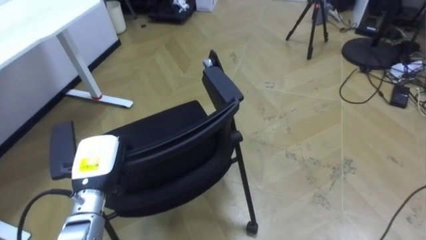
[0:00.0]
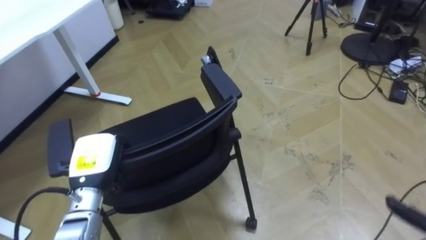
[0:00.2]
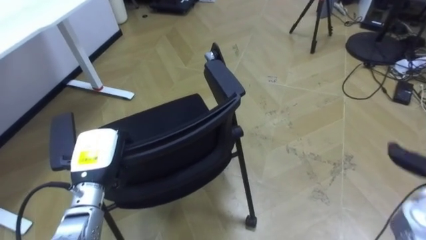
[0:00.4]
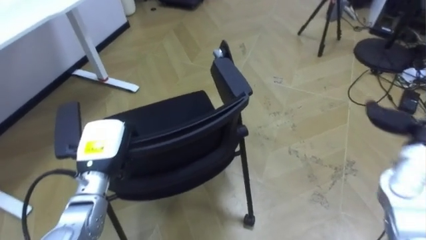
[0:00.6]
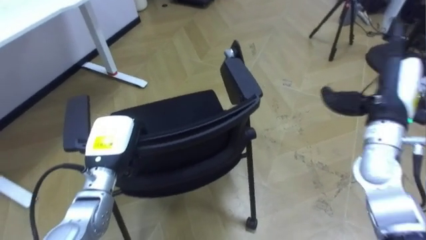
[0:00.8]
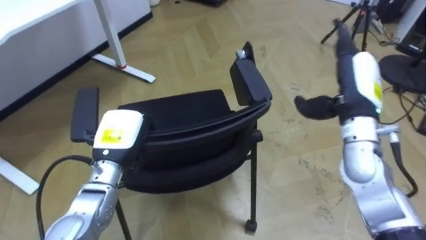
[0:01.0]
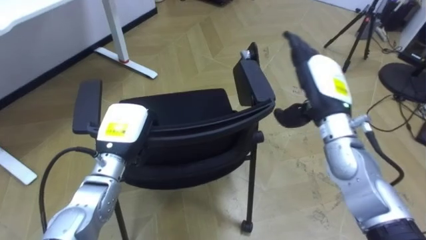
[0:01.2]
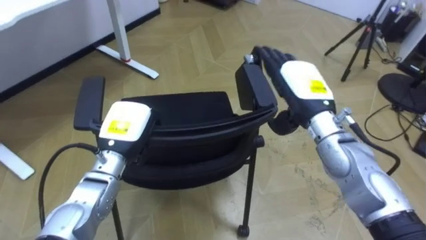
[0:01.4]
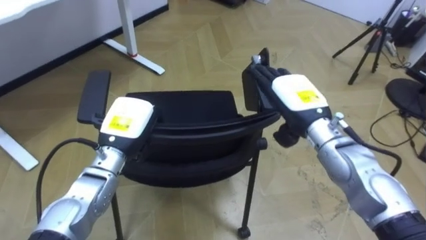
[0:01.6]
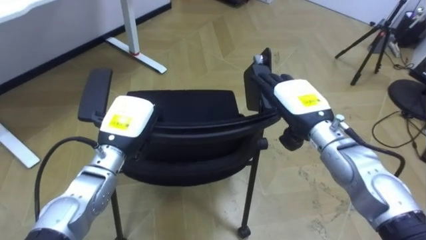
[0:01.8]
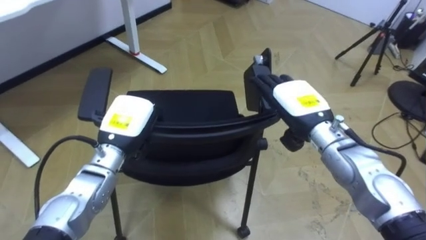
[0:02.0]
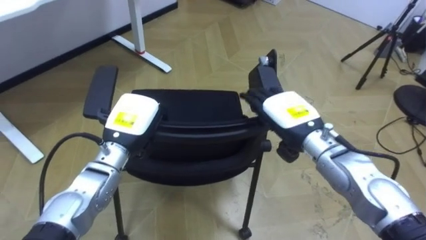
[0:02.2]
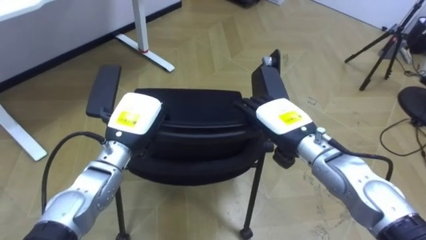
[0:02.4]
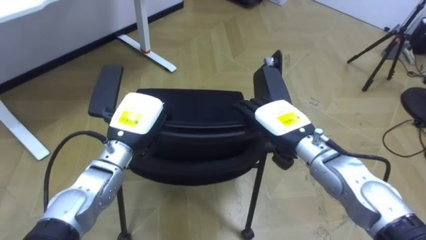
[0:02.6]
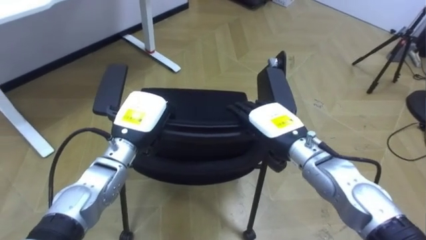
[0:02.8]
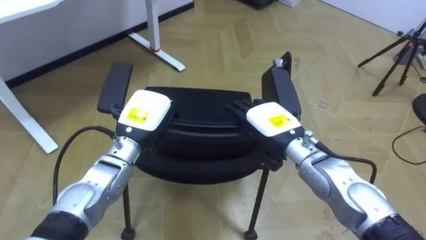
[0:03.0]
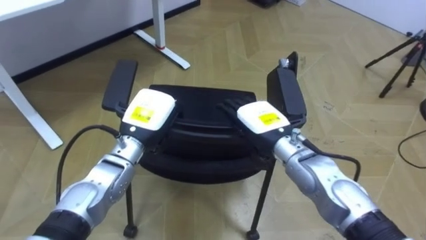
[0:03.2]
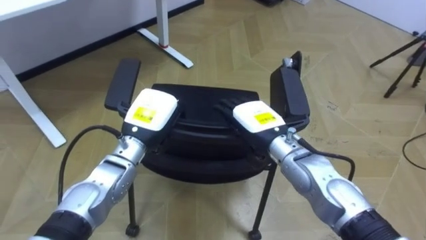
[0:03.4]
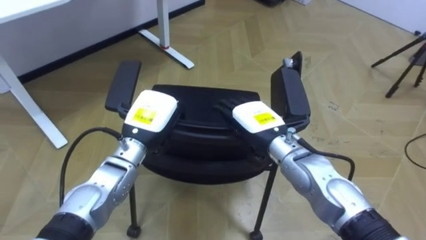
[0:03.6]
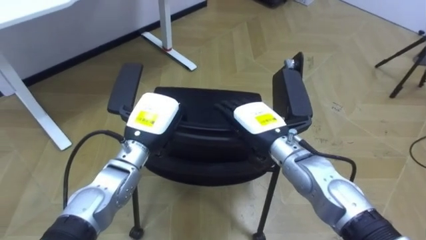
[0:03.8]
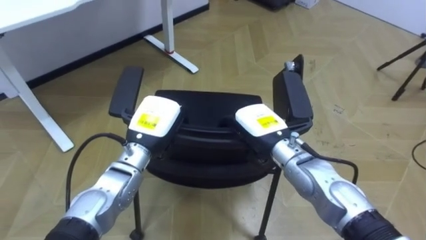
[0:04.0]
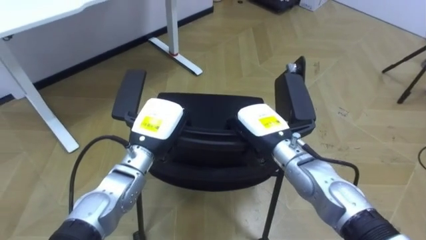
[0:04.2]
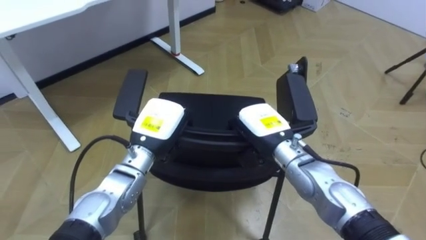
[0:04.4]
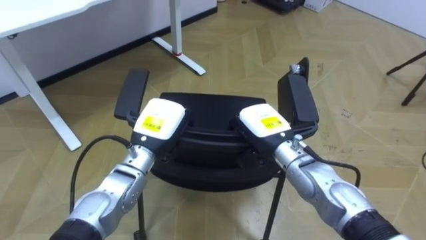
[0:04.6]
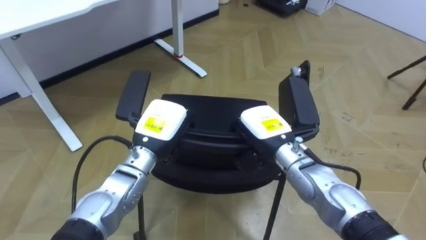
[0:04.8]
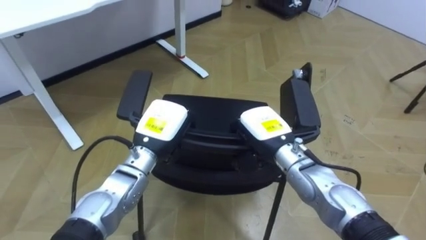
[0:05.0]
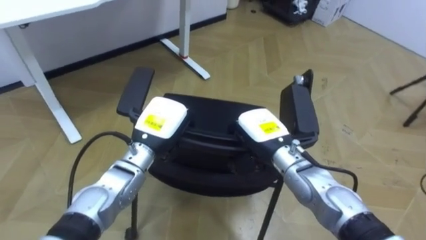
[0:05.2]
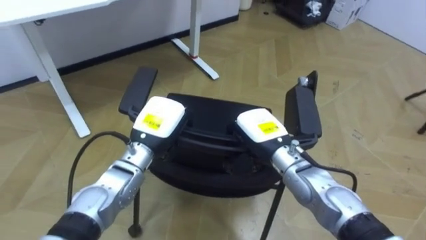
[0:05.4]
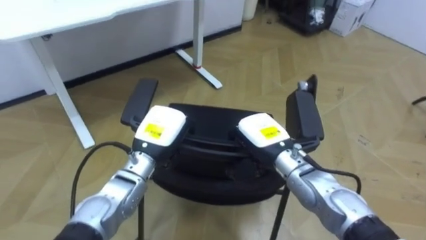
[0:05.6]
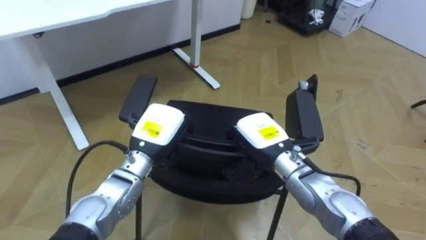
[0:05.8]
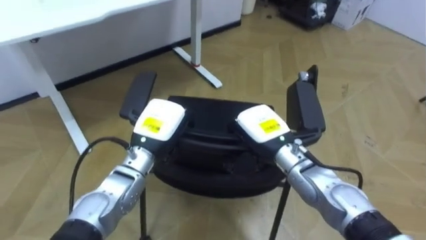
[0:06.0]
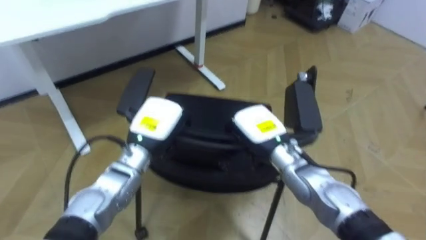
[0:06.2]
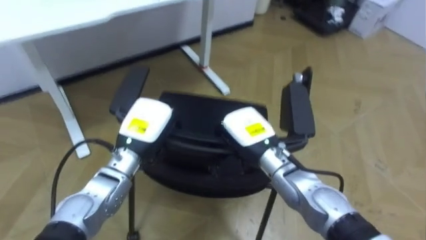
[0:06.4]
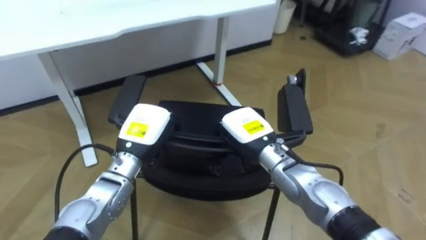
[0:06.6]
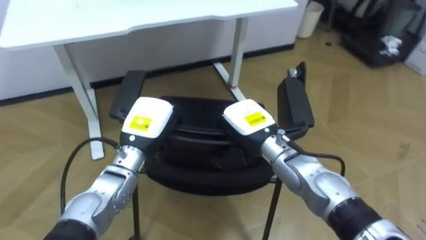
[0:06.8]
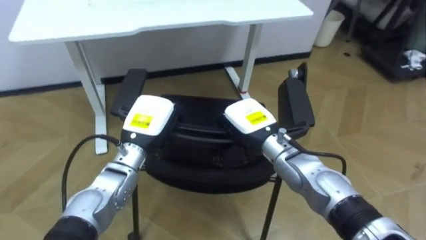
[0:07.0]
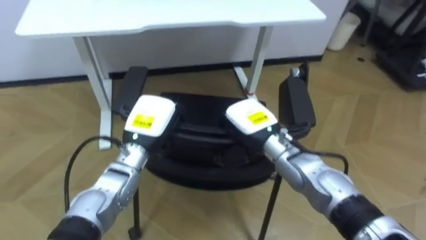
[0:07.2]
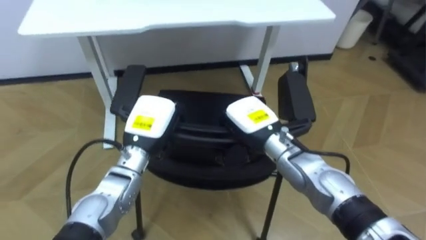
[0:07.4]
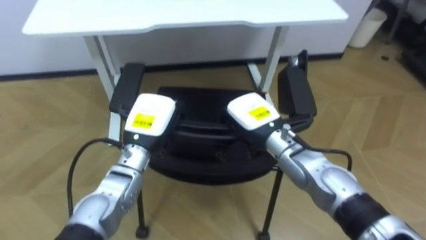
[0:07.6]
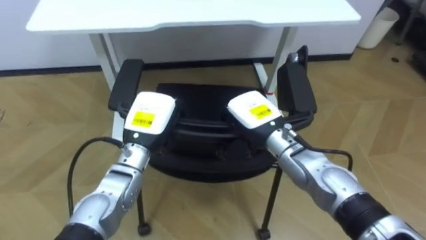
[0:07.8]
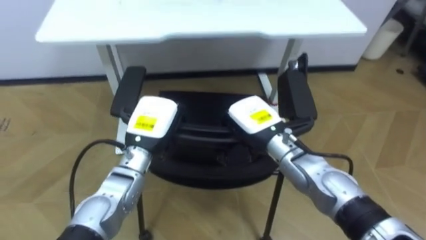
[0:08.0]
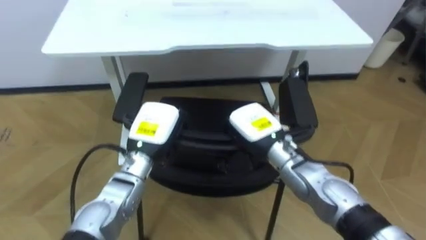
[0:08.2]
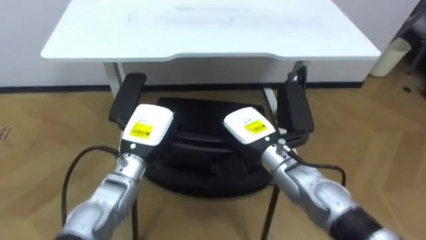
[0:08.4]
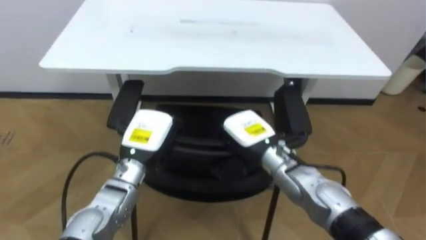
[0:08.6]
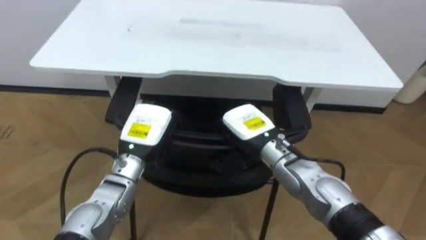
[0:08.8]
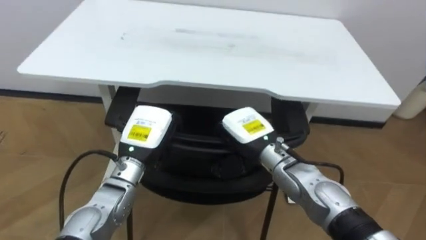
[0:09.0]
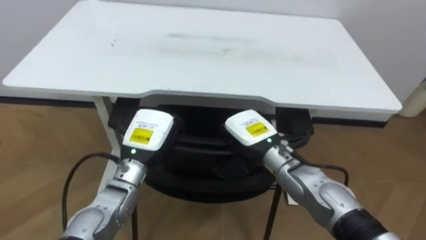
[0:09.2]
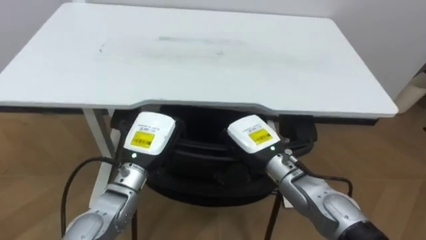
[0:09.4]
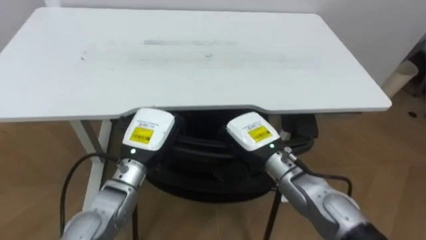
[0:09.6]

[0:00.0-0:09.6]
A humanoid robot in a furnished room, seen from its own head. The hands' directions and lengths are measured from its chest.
Task of the whole recording: Push the chair under the table.
0:00.0 to 0:01.6: The left hand is displaced to the right, forward and upward by about 10 cm.
0:01.6 to 0:03.2: The right hand moves to the left and downward, some 10 cm.
0:03.2 to 0:04.8: The right hand closes its fingers.
0:06.4 to 0:08.0: The robot's body swings about 25 degrees to its left.

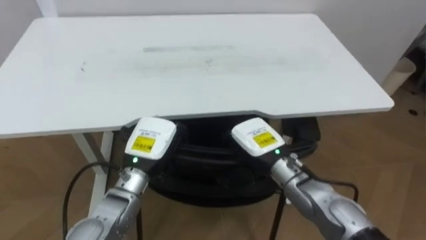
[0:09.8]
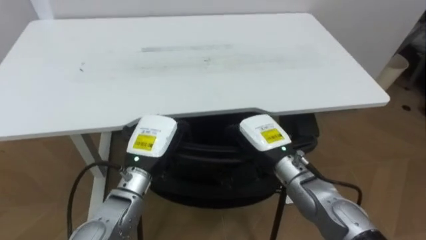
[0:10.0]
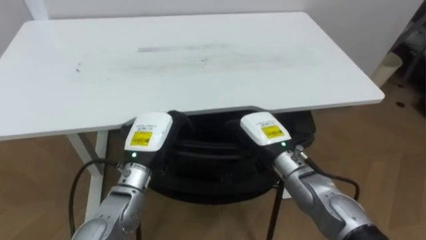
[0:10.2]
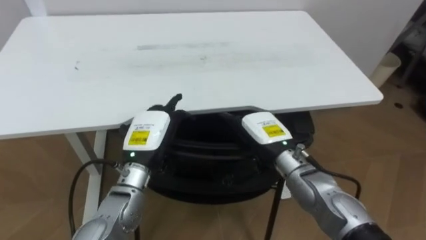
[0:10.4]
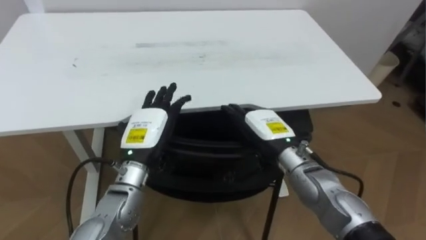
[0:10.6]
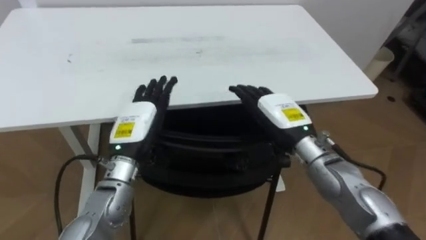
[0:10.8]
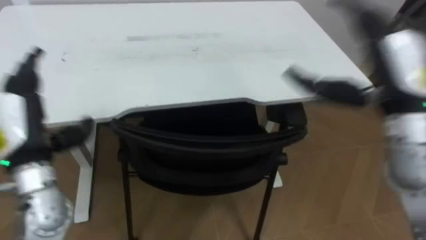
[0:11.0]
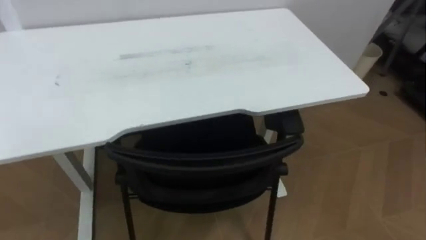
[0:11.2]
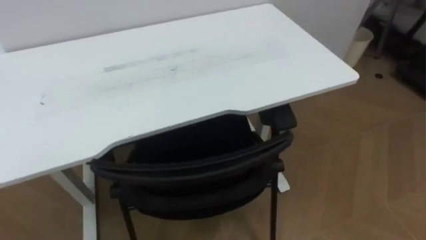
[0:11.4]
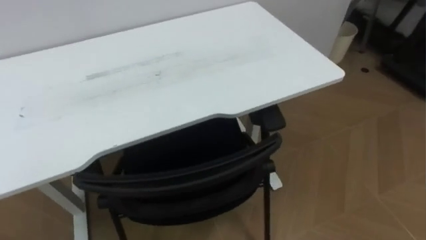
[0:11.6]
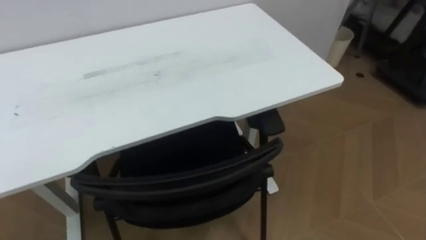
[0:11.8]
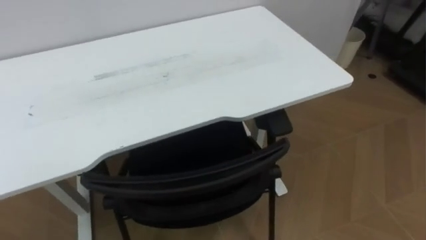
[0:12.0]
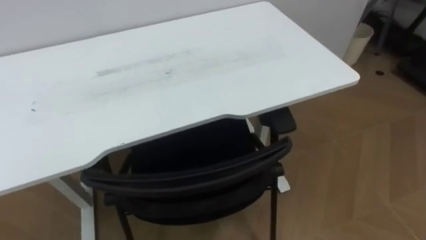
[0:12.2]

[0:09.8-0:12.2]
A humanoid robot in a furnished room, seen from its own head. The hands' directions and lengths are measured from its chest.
Task of the whole recording: Push the chair under the table.
0:09.8 to 0:11.0: The left hand heads to the left and upward, covering about 15 cm, and opens its fingers; the right hand moves upward and to the right, about 20 cm, and opens.

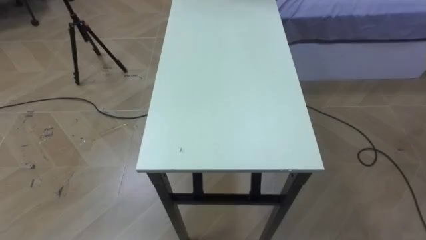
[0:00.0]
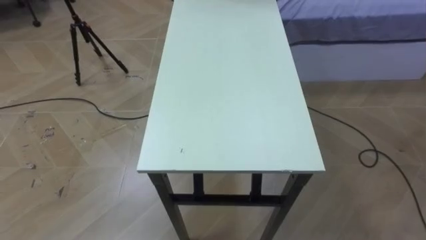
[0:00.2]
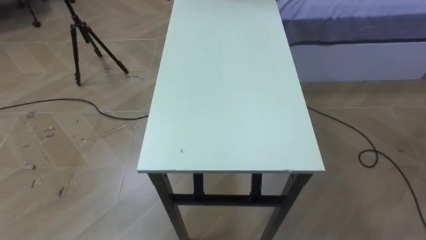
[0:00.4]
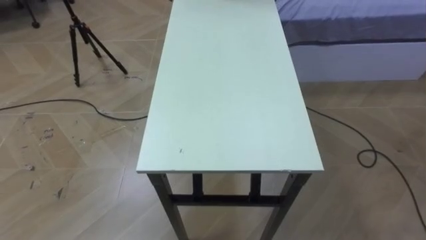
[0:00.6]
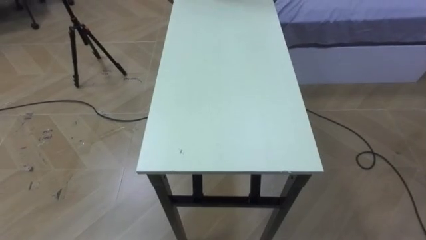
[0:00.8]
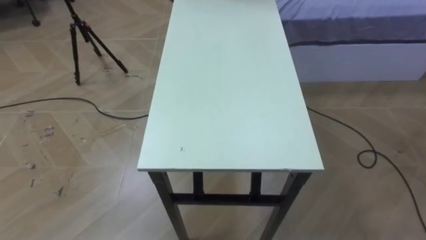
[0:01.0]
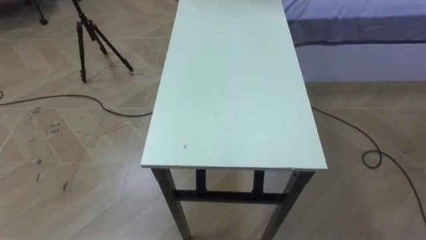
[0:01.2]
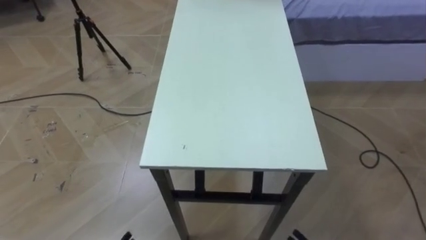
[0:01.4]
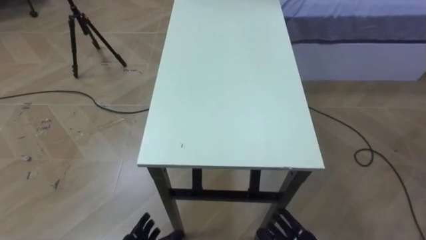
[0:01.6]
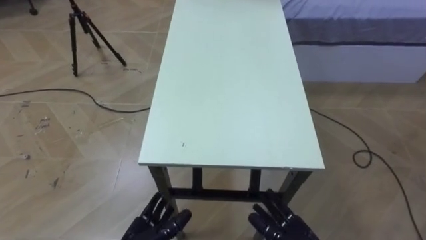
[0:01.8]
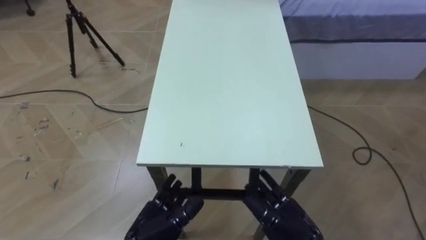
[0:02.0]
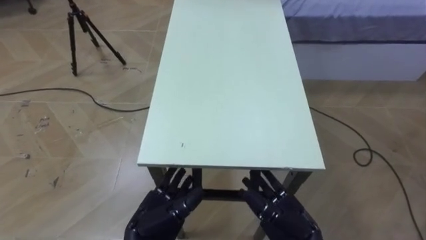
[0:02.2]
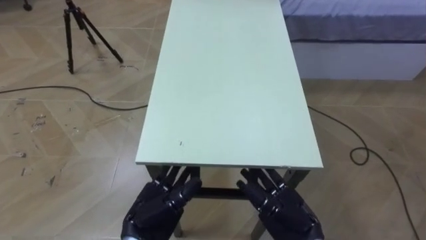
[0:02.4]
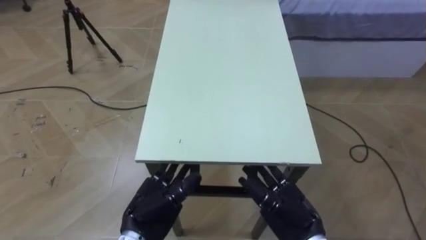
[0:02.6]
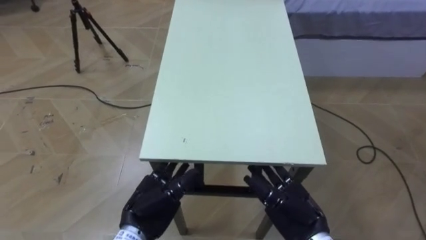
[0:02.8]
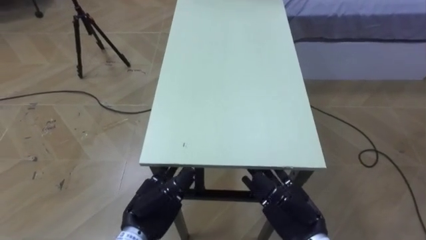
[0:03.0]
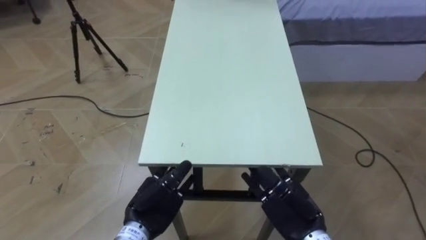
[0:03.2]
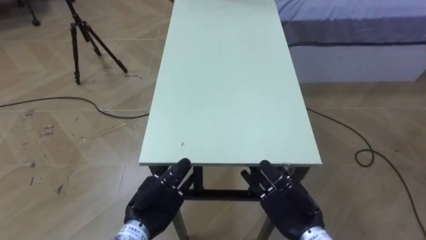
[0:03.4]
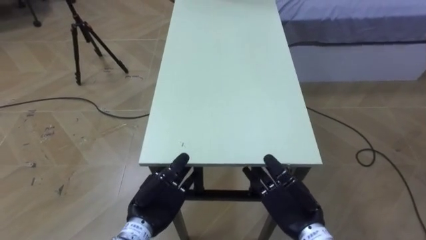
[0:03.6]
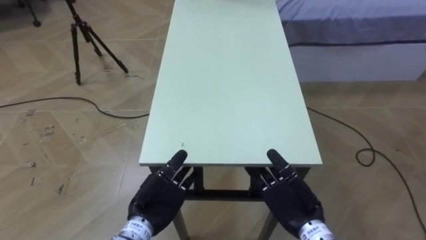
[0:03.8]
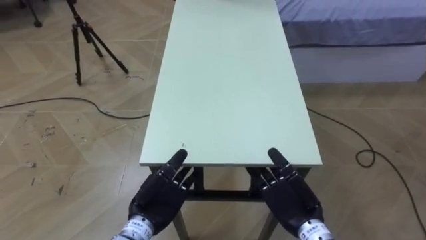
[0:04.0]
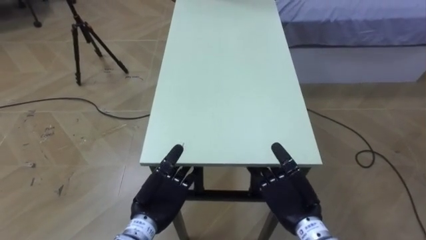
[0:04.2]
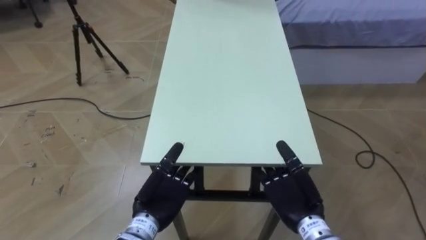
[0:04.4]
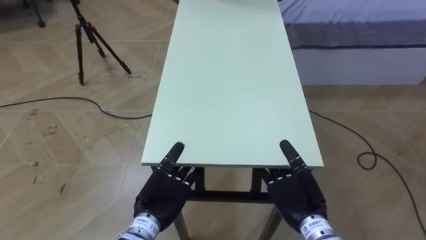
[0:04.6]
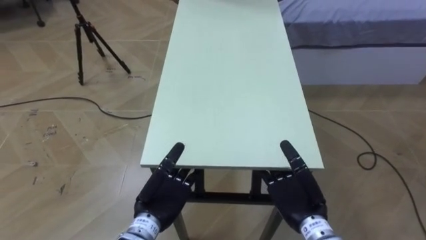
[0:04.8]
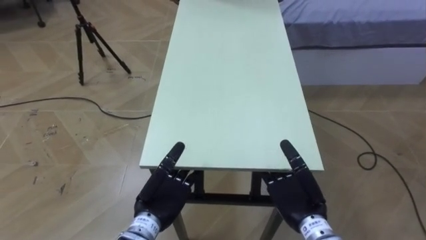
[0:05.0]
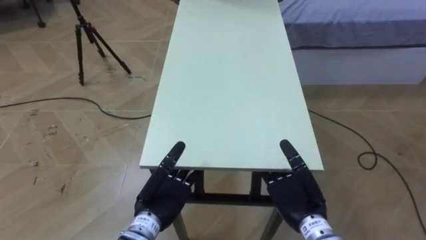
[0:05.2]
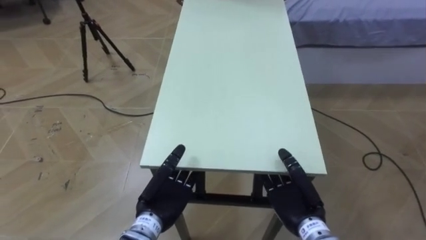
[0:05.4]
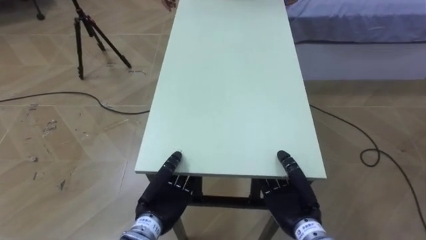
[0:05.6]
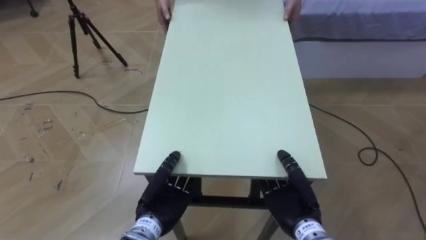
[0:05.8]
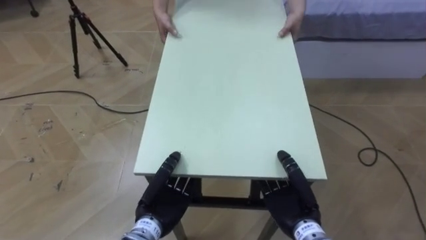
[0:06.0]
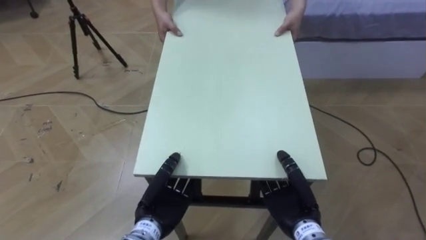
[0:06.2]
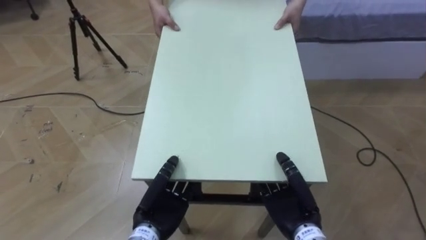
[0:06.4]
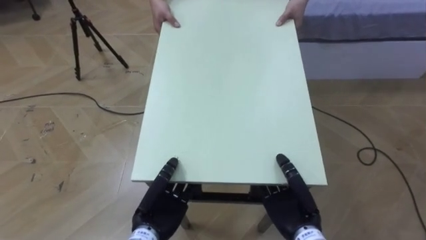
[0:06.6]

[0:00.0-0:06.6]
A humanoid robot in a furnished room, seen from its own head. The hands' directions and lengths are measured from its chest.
Task of the whole recording: Move the table to the back left with someone.
0:05.0 to 0:06.6: The right hand closes up. The left hand closes its fingers.
